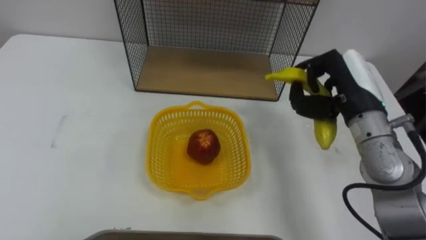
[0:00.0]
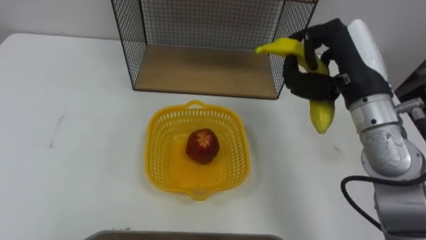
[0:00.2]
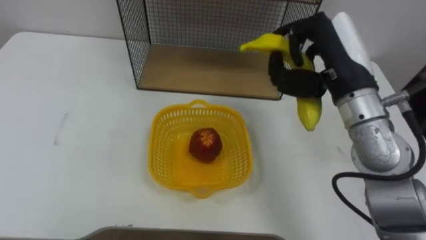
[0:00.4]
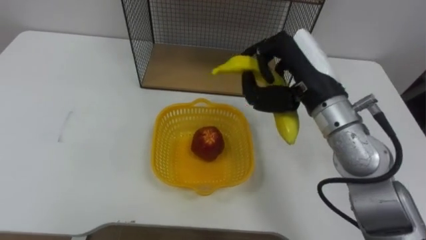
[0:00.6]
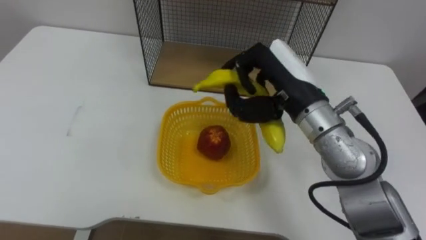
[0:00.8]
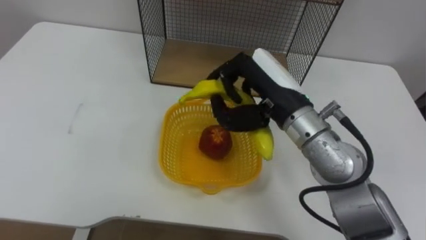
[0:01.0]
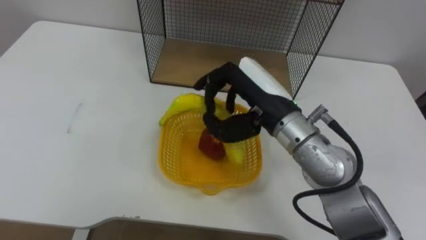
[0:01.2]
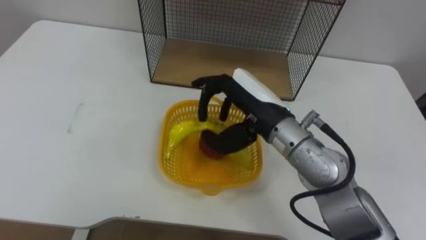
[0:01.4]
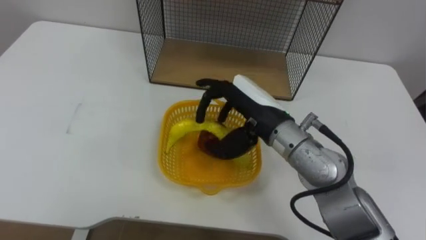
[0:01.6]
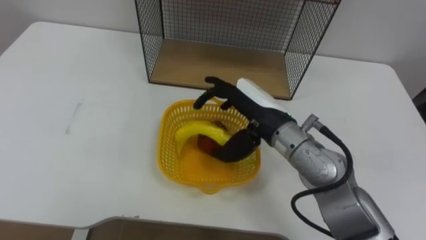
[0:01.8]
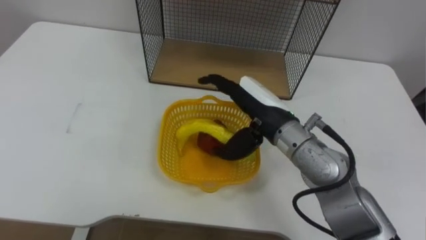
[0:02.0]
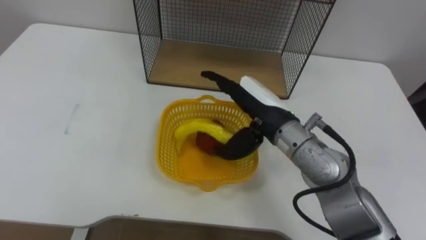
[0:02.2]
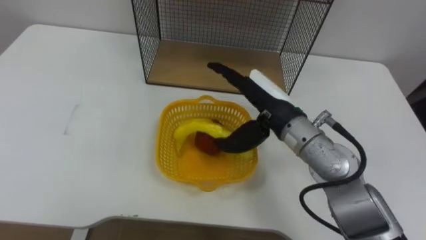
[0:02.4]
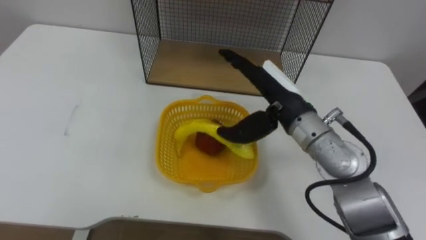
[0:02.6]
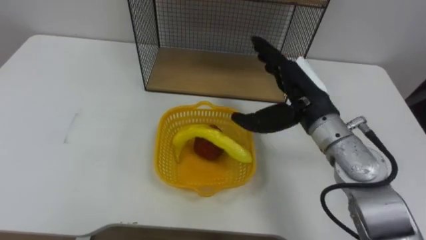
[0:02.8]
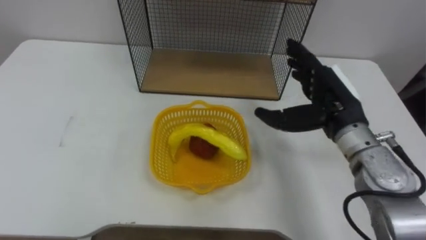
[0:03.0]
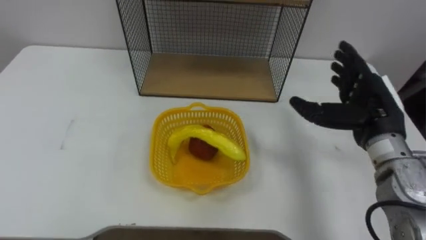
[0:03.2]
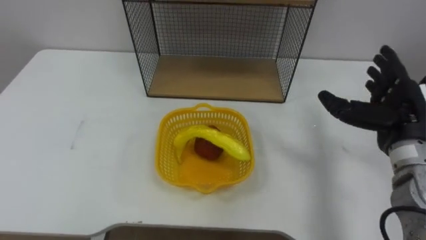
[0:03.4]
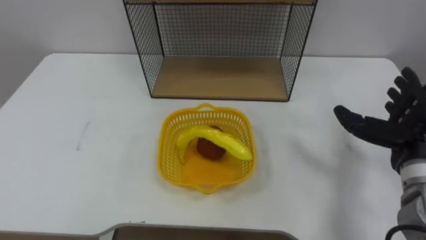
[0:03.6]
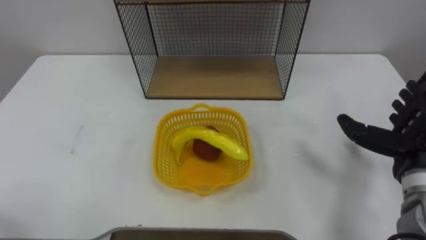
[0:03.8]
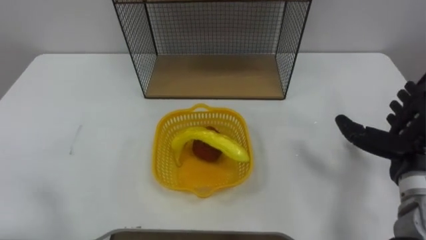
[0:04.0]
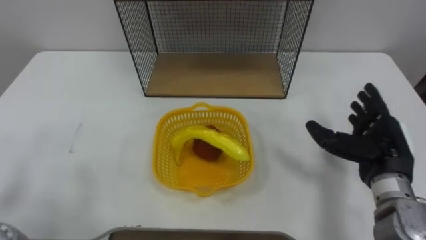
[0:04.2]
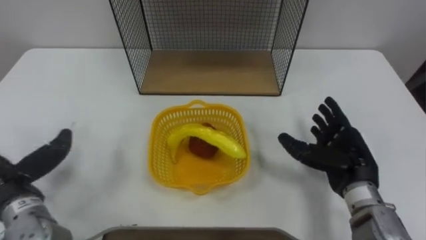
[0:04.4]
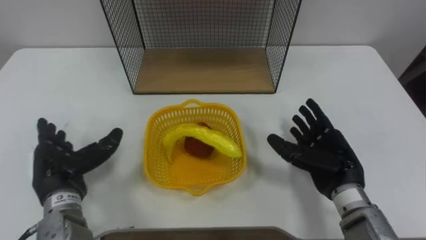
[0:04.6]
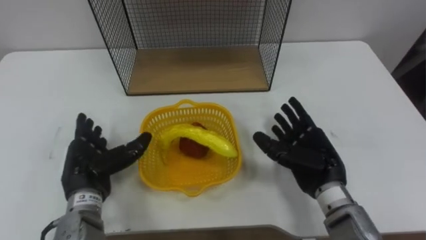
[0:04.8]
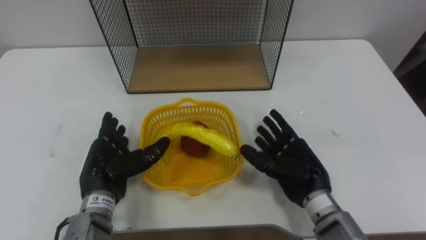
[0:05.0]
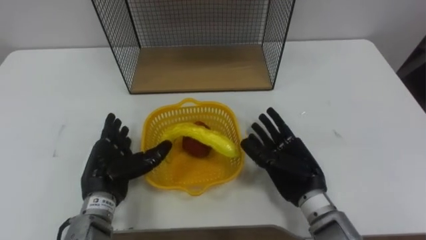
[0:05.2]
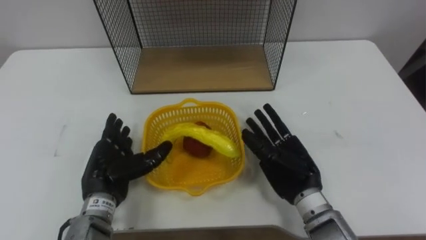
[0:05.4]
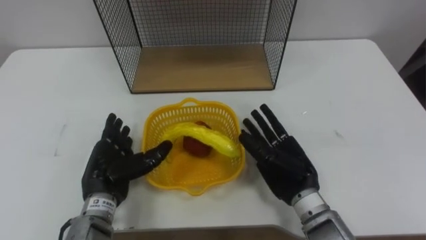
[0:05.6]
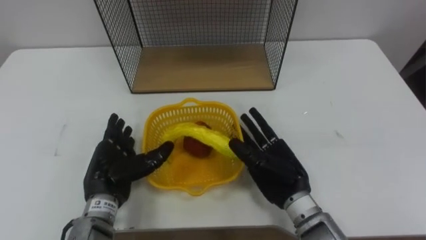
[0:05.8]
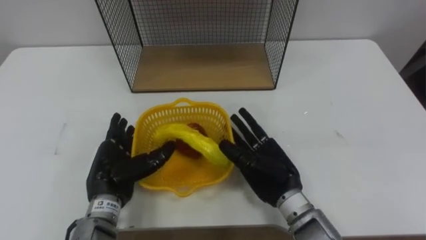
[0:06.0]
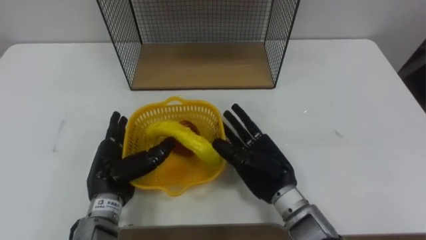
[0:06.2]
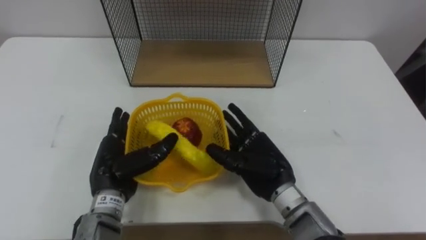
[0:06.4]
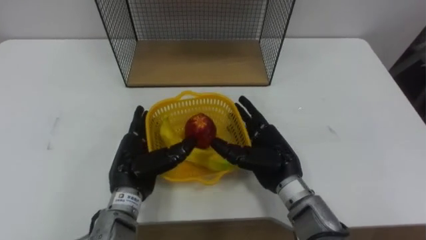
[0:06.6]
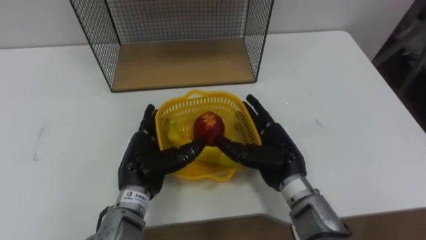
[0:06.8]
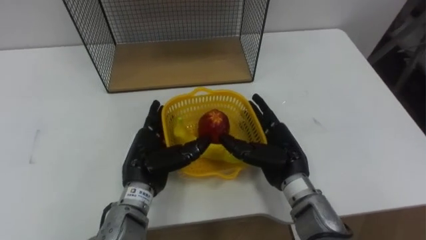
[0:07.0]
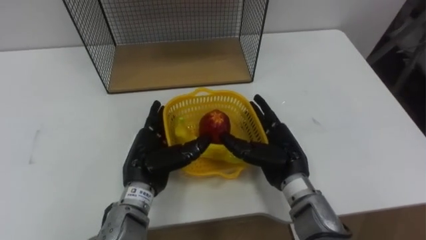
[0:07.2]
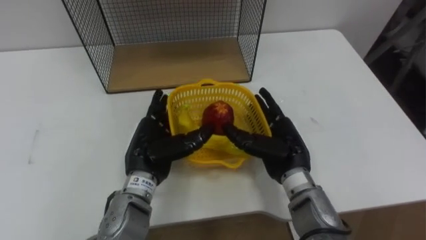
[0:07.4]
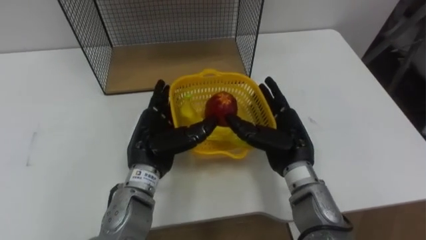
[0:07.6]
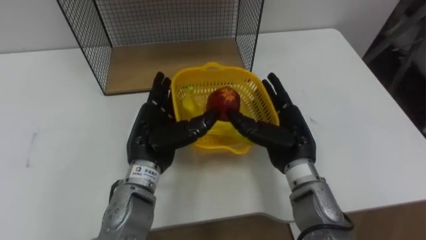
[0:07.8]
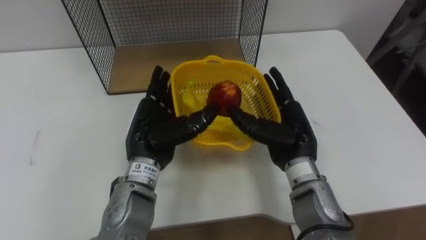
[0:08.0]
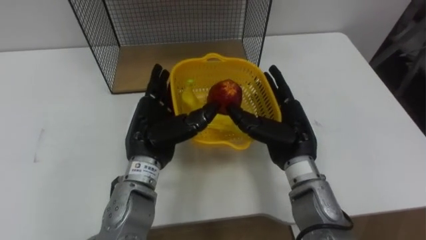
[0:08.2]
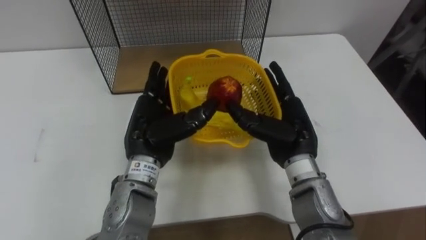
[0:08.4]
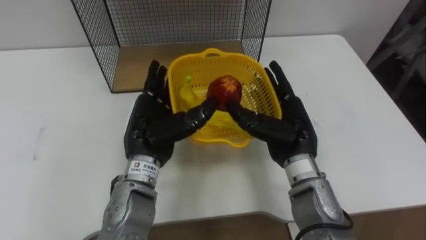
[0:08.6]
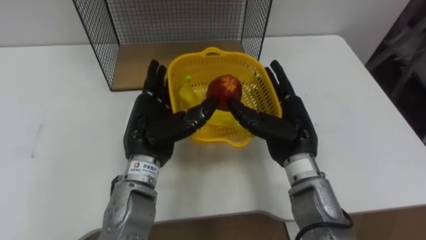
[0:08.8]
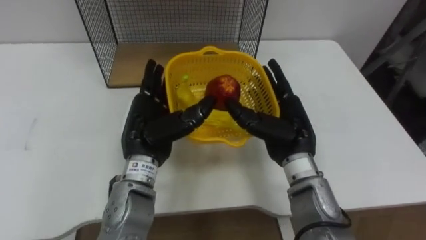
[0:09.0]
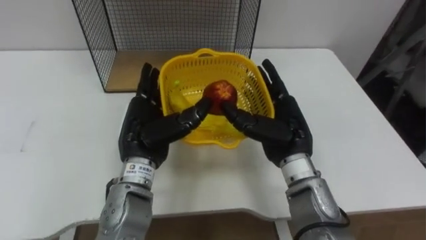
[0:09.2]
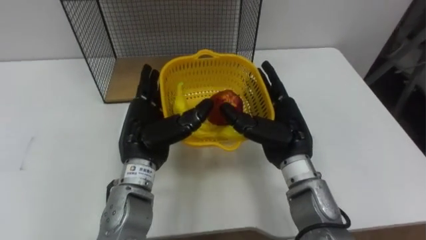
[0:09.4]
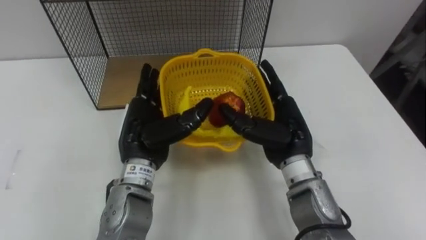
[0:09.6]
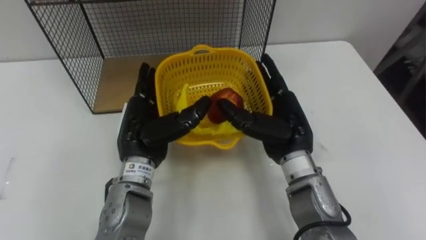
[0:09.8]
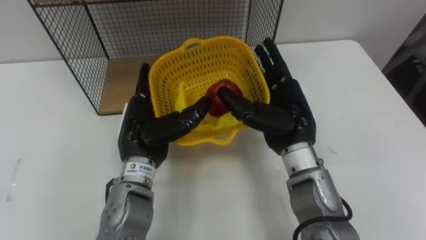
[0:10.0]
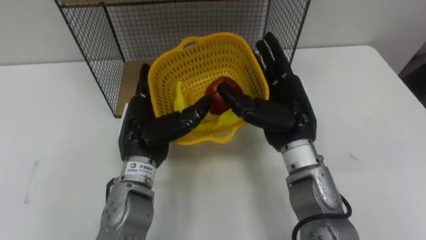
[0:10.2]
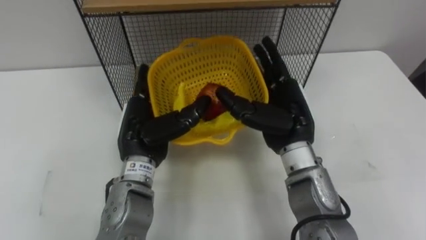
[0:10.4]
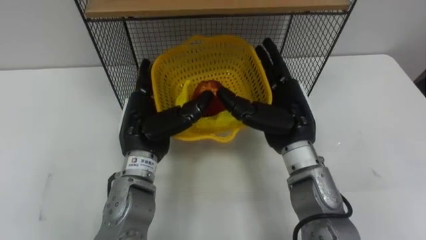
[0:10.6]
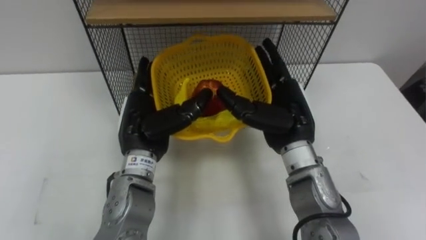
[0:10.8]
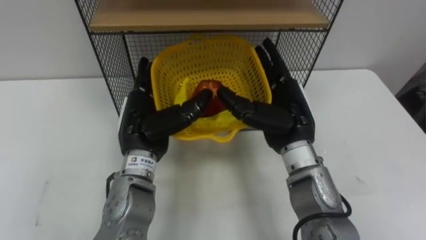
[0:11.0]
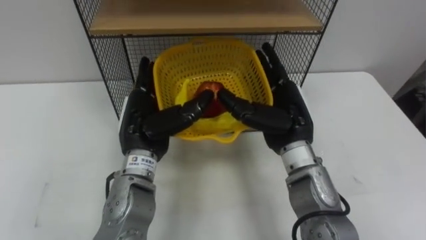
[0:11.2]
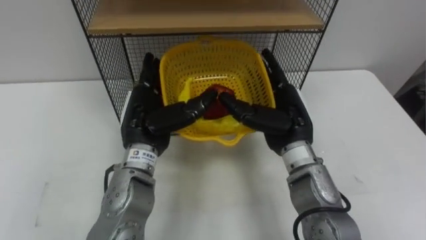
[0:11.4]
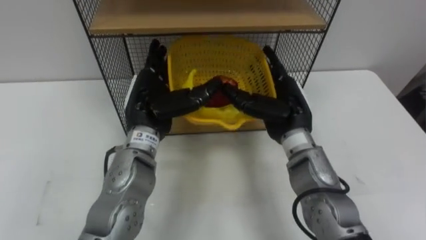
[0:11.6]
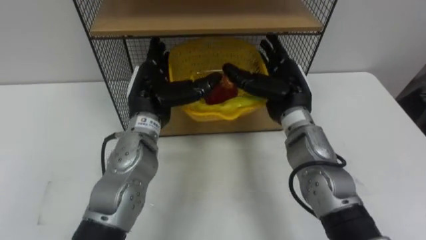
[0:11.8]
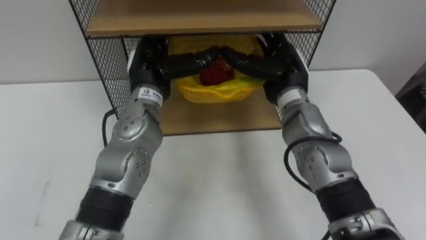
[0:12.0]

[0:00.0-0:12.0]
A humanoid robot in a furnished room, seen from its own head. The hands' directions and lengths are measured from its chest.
Task of the whole recording: Put the fruit on the table into the basket, then place the basket on the shelf.
0:00.0 to 0:01.6: The right hand goes roughly 15 cm to the left, and opens.
0:01.6 to 0:03.0: The right hand moves to the right, roughly 10 cm.
0:03.0 to 0:04.4: The right hand shifts roughly 10 cm downward, backward and to the right.
0:04.4 to 0:06.0: The left hand moves to the right, some 15 cm, while the right hand shifts about 15 cm to the left.
0:06.0 to 0:07.6: The right hand ends up approximately 5 cm from where it was. The left hand heads to the right, covering some 10 cm.
0:10.4 to 0:12.0: Both hands move forward, approximately 10 cm.

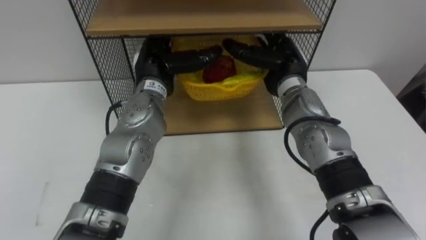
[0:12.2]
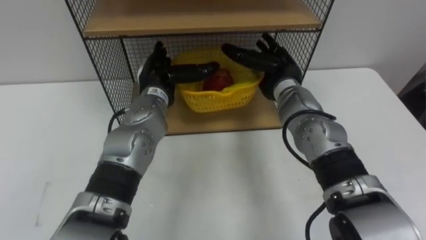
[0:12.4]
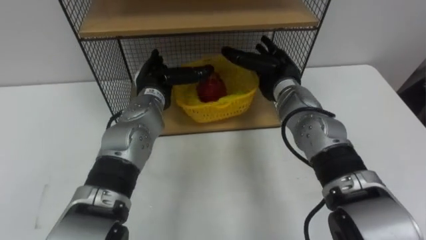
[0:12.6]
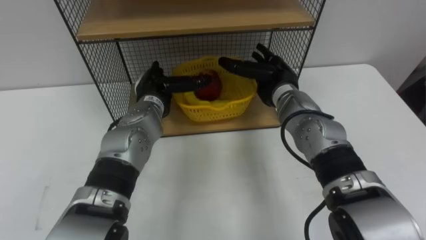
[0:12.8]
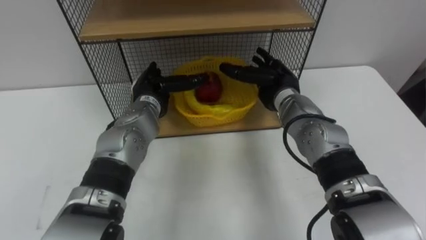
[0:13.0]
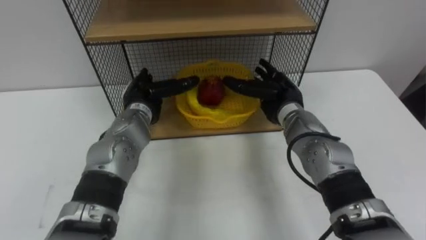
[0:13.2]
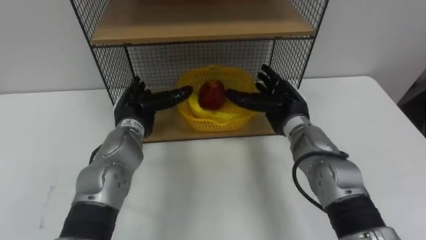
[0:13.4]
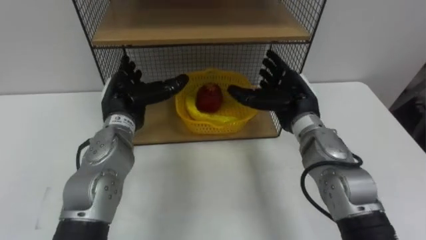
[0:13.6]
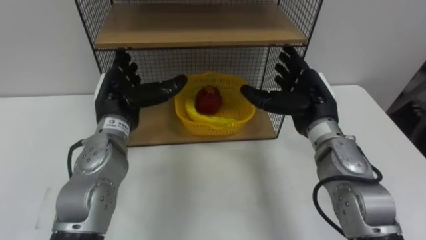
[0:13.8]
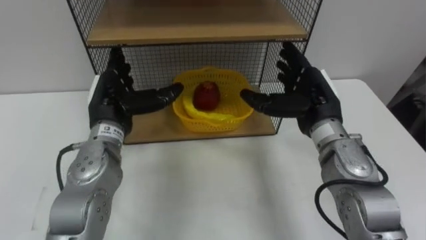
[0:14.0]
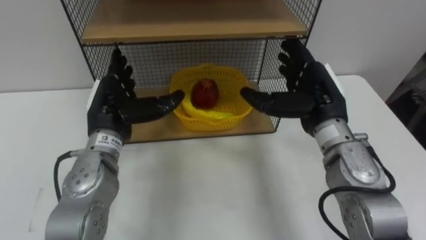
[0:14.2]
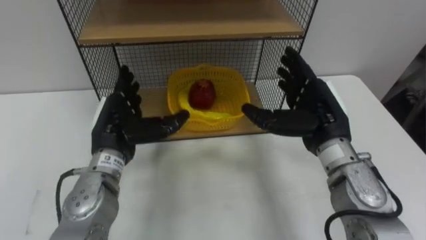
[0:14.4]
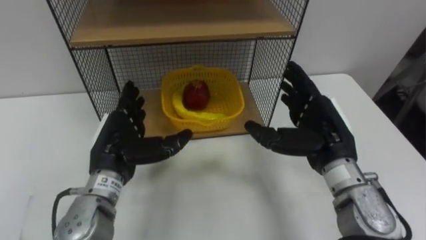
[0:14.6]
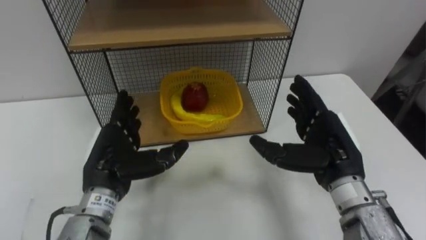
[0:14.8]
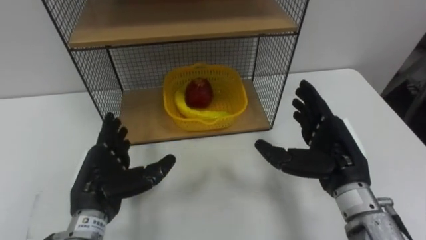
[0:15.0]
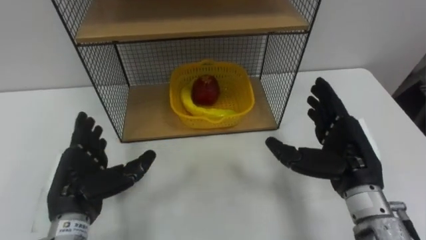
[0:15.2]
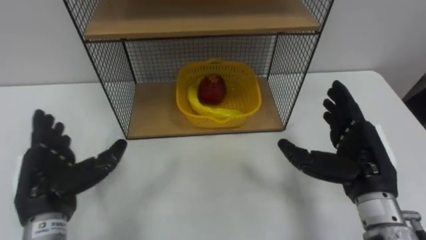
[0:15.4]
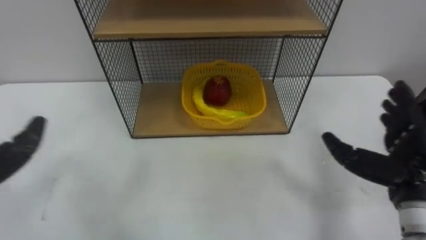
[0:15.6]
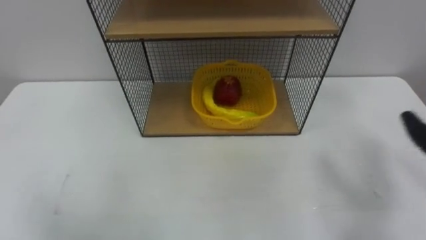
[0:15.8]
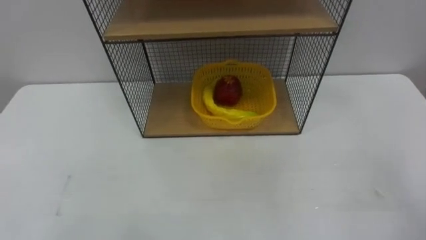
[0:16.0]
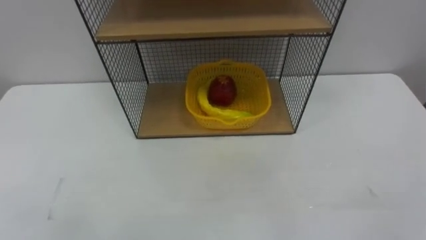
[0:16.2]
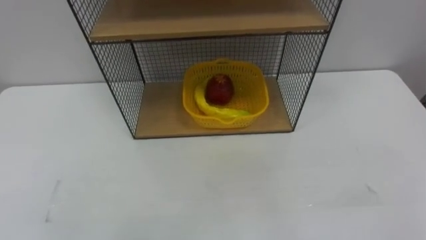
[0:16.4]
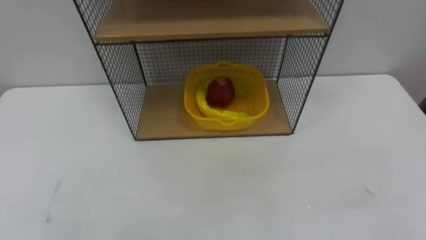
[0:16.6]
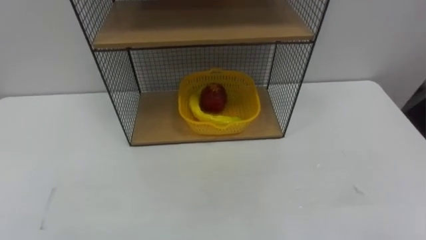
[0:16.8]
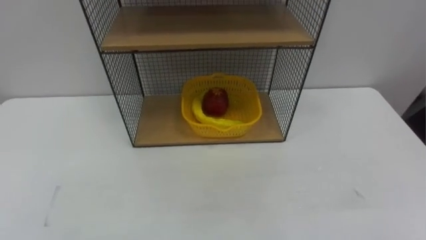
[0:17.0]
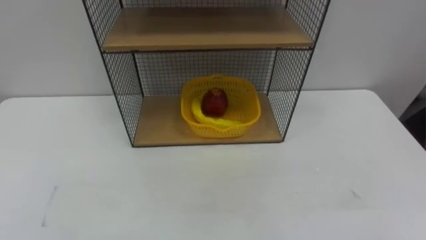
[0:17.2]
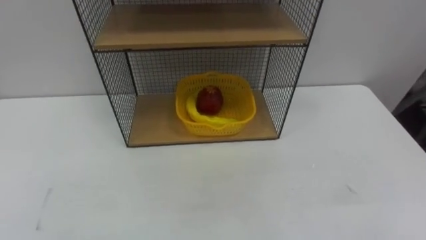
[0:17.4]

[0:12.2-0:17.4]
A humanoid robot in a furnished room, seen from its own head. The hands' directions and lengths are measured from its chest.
Task of the whole recording: Put the fruit on the table into the basket, then place the basket on the shelf.
0:12.2 to 0:14.0: The right hand moves backward, some 10 cm; the left hand travels to the left and backward by roughly 10 cm, and goes downward and returns, roughly 10 cm each way.
0:14.0 to 0:15.6: The right hand moves backward and to the right, some 15 cm.
